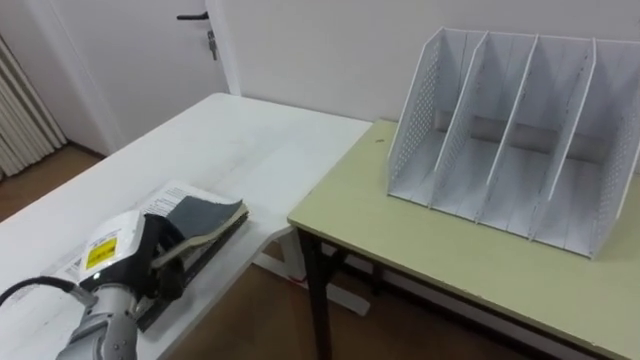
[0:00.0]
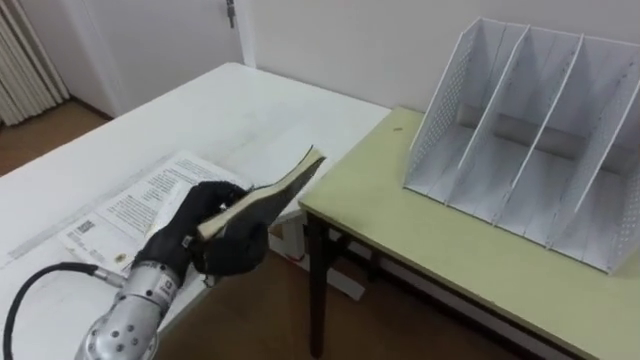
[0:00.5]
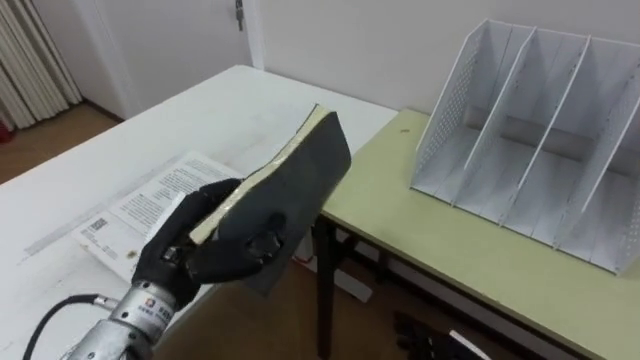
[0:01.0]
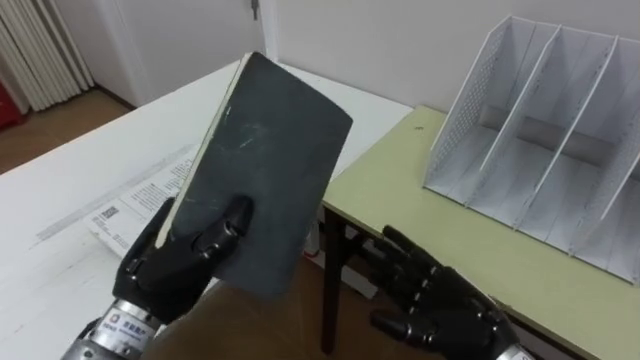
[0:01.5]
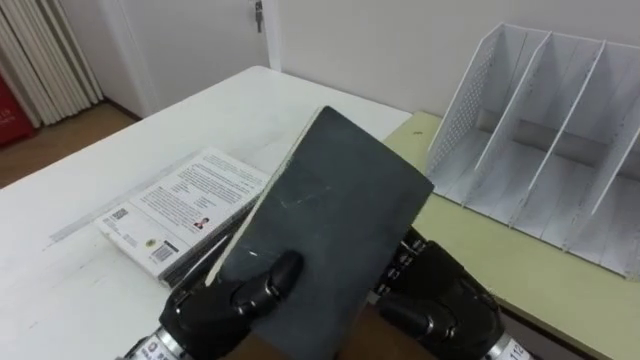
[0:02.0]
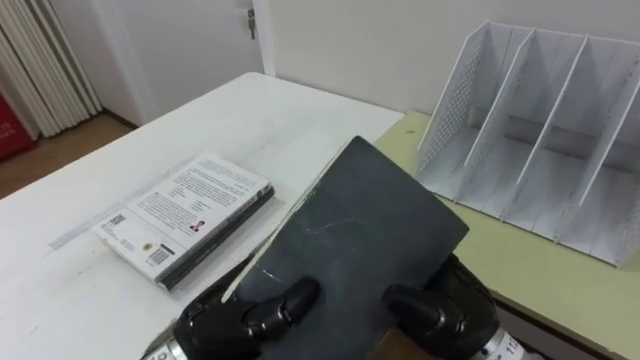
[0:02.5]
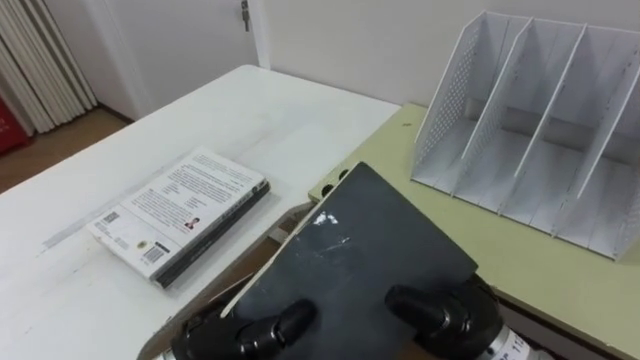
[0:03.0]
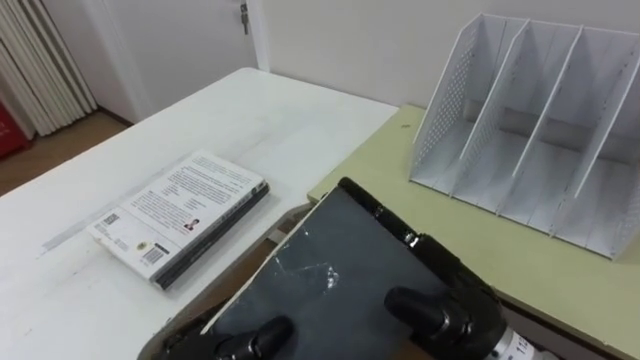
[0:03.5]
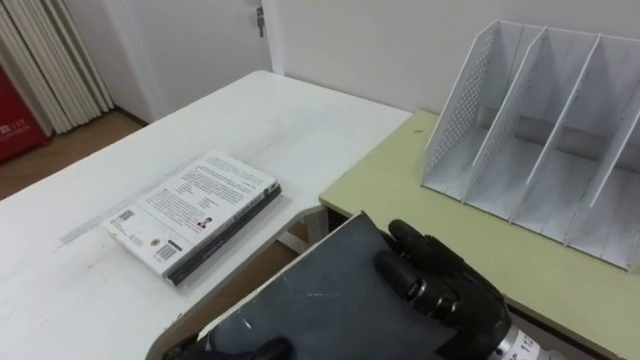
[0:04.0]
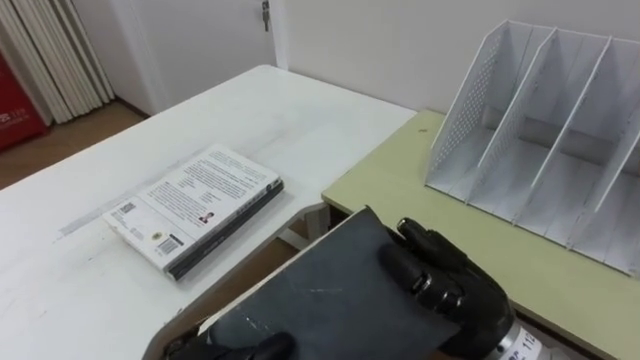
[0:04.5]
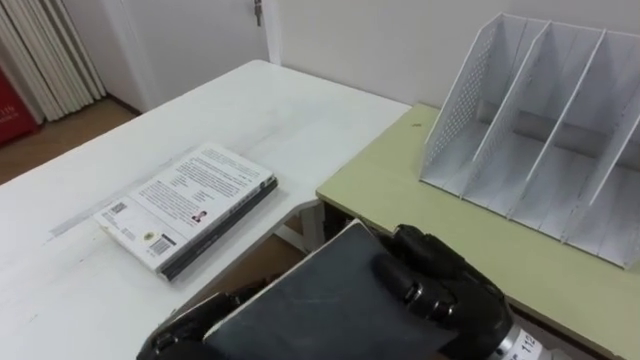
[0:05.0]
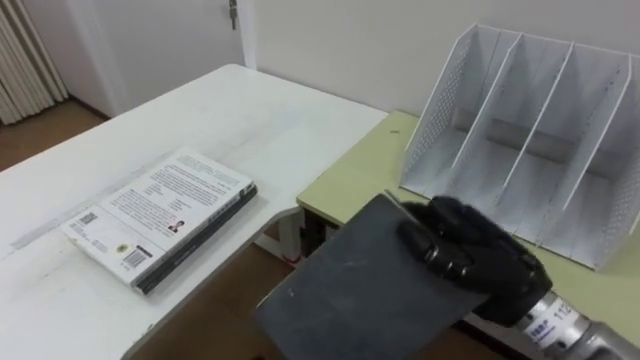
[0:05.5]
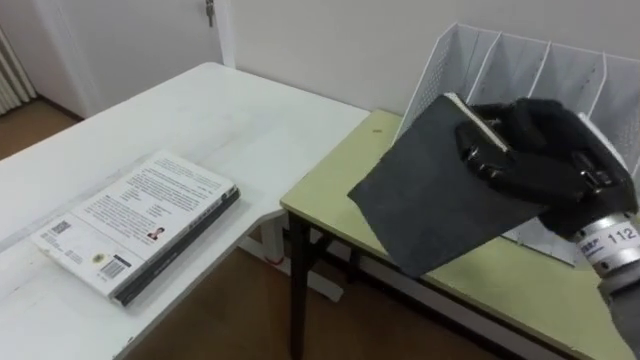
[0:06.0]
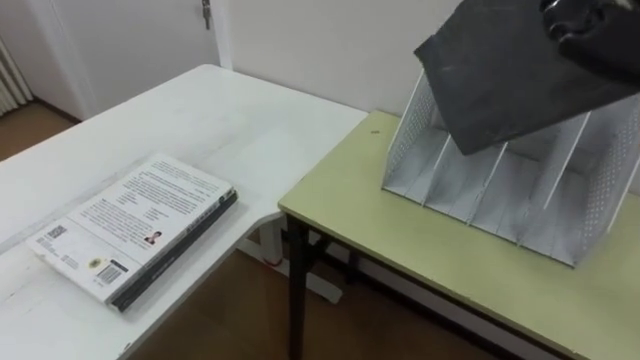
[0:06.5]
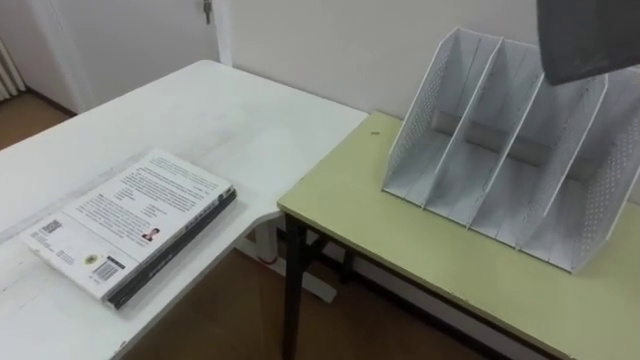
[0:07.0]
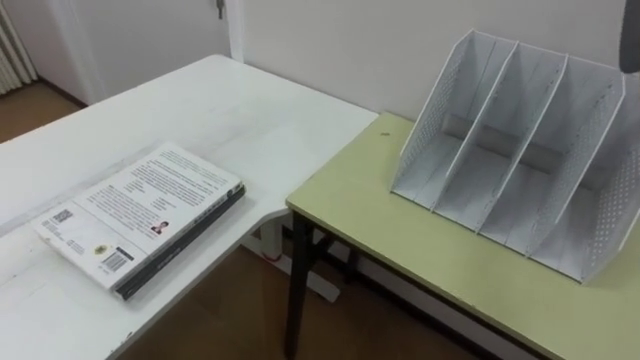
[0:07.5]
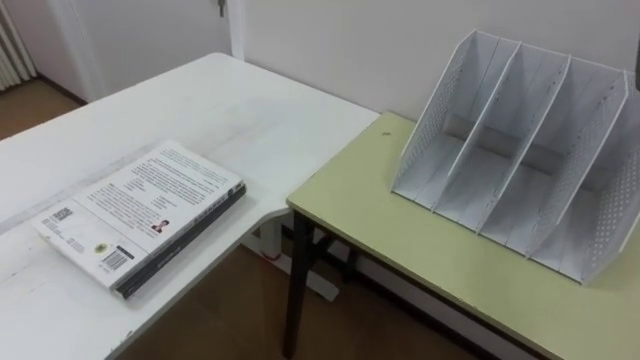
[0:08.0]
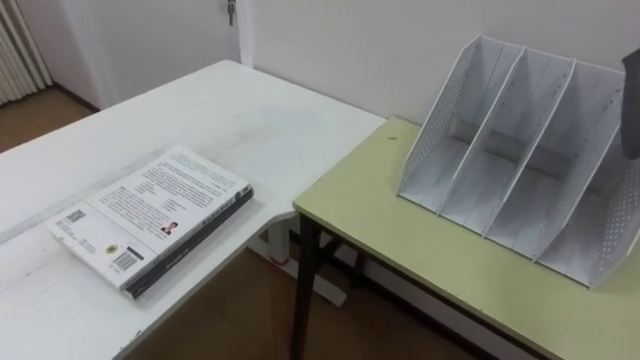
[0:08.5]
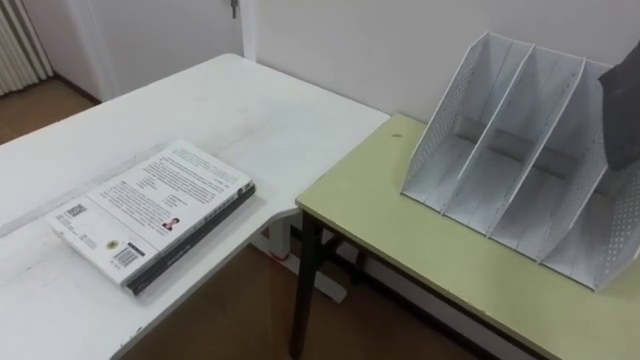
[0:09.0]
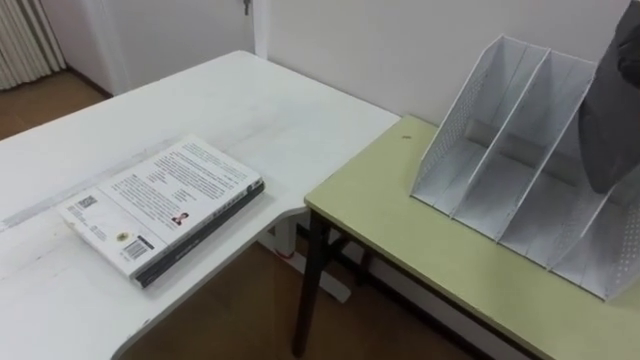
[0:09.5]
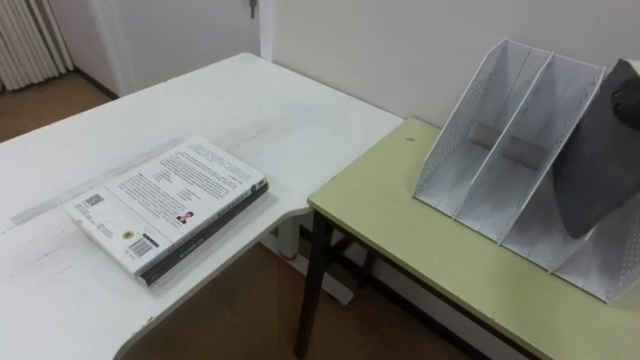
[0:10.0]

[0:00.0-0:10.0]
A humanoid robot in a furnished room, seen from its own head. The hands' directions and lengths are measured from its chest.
Task of the whole recording: Put the books on the table onto the bookshelf.
0:00.0 to 0:02.0: The left hand goes approximately 15 cm to the right, backward and upward.
0:02.0 to 0:04.0: The right hand closes its fingers. Meanwhile the left hand heads downward, covering some 5 cm.
0:04.0 to 0:06.0: The right hand goes some 15 cm to the right, upward and forward.

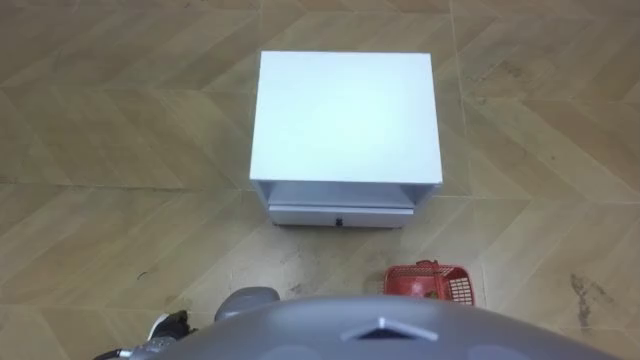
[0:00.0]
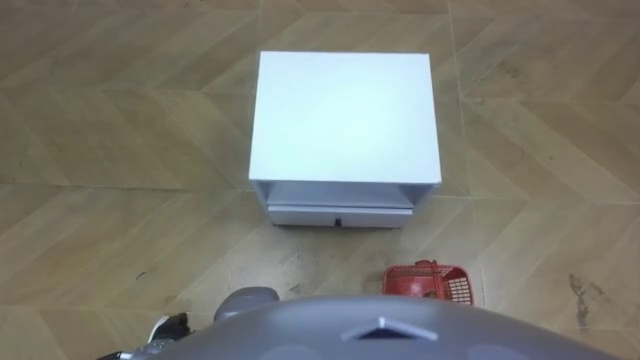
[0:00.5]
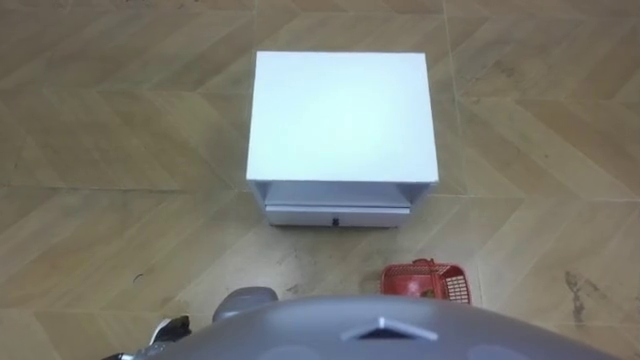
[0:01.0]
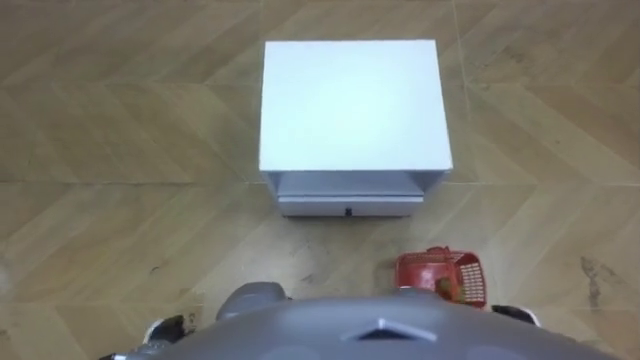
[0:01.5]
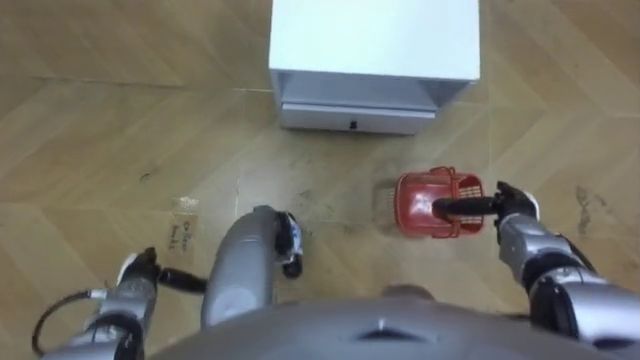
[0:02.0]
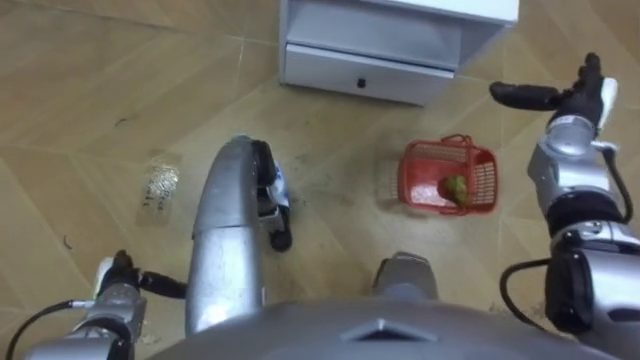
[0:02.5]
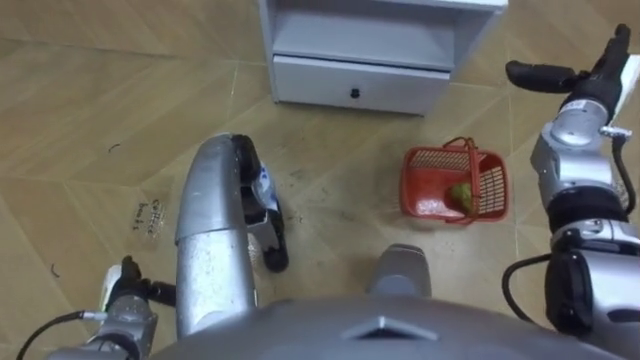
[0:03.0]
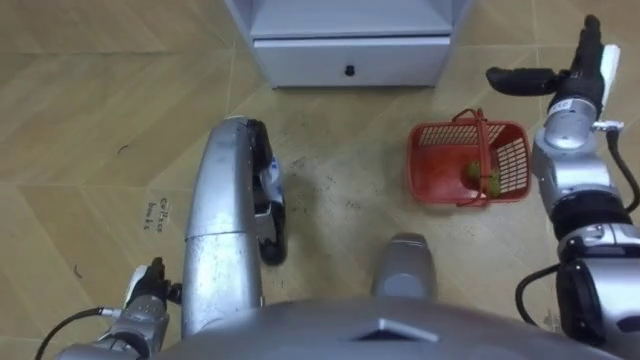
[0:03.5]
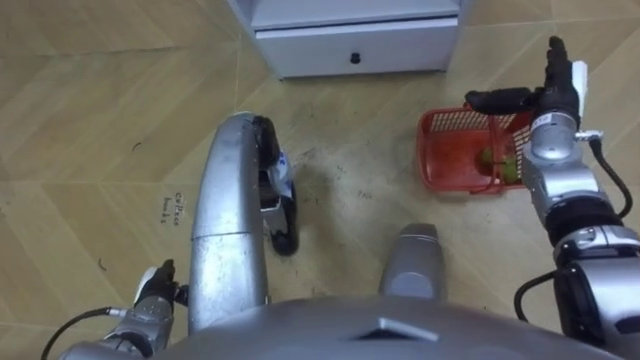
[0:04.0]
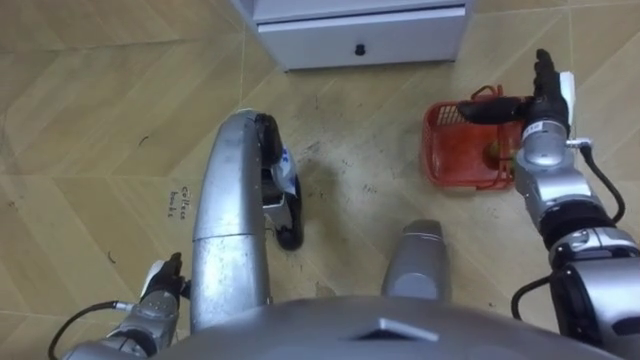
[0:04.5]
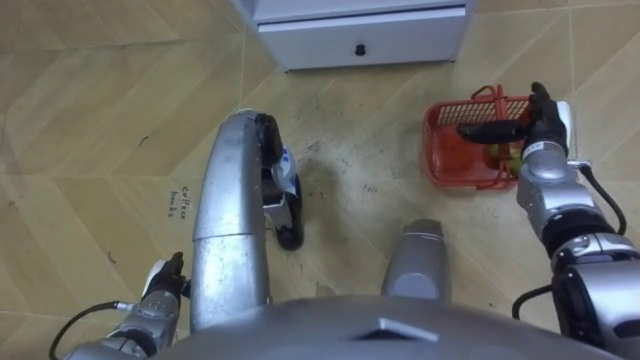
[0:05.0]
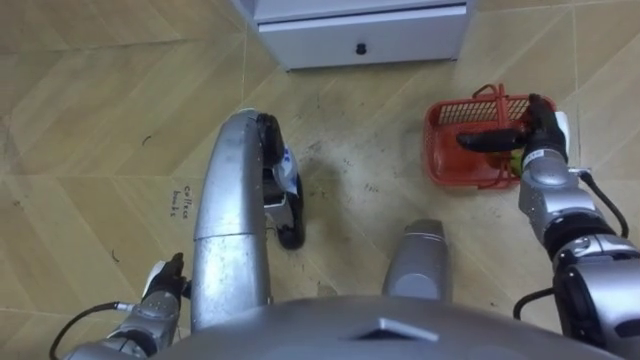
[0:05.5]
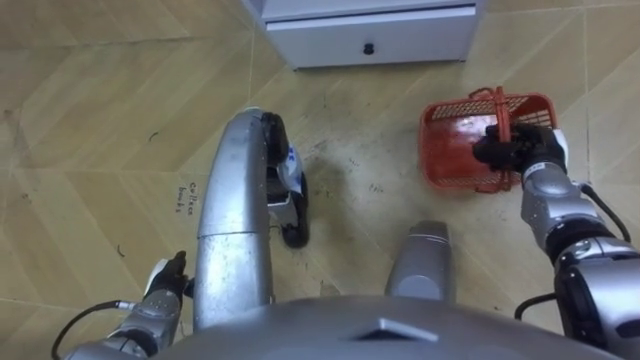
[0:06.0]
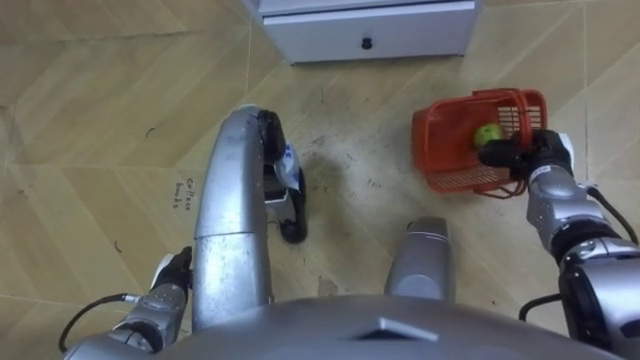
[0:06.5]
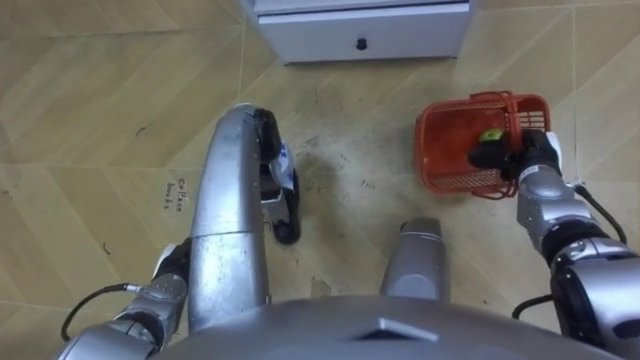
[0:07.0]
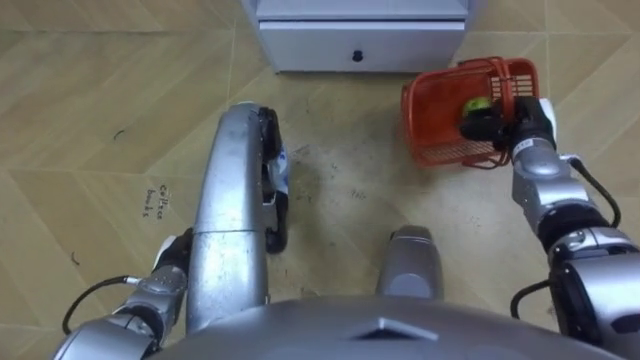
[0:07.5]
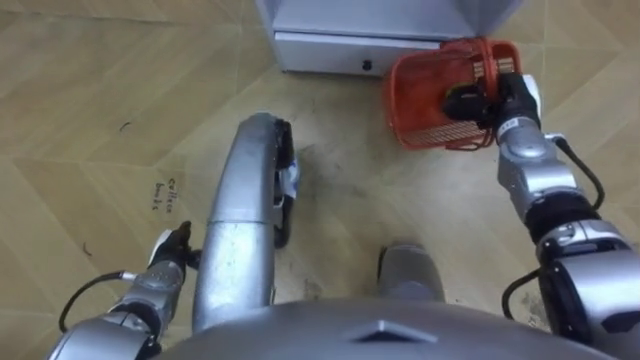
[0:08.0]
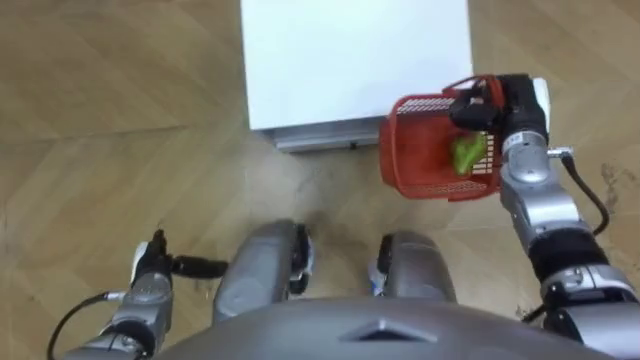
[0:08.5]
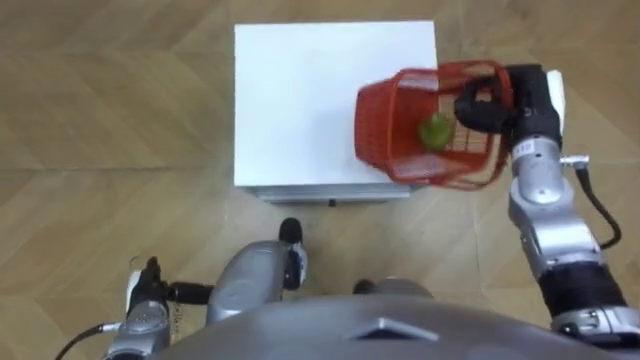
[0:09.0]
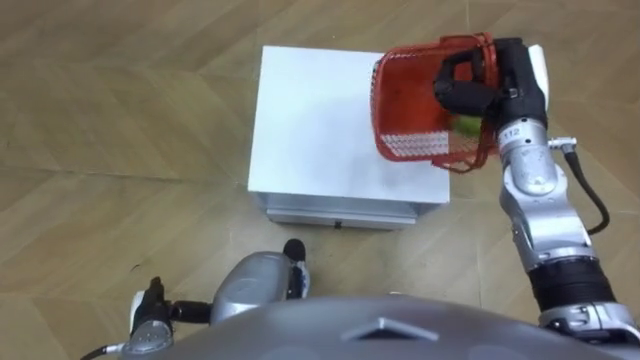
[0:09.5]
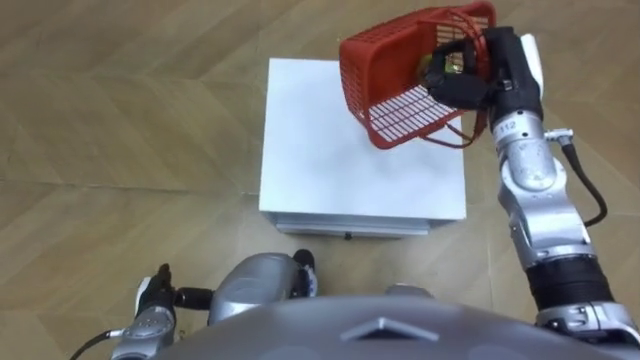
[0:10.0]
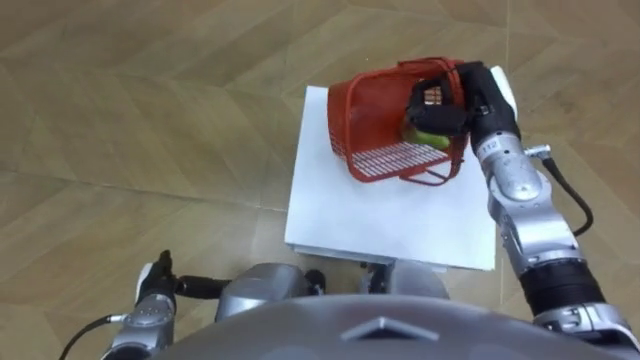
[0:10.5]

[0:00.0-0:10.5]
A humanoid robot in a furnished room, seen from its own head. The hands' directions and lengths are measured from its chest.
Task of the whole recording: Pick up the fruit basket from the floor and place it on the cabinet.
0:02.0 to 0:04.0: The right hand shifts about 20 cm forward and upward.
0:04.0 to 0:06.5: The right hand is displaced downward and backward by roughly 10 cm, and closes.
0:06.5 to 0:08.5: The right hand heads upward and to the left, covering some 10 cm.
0:08.5 to 0:10.5: The right hand is displaced to the left by some 5 cm.
